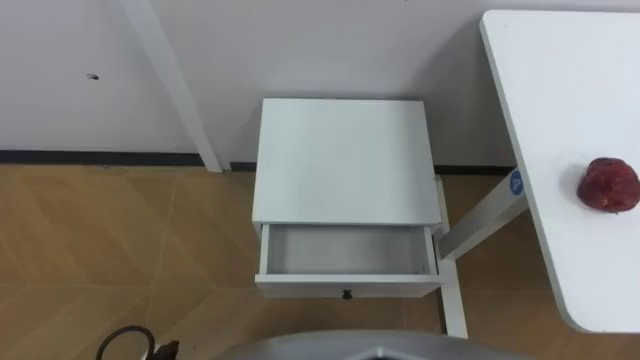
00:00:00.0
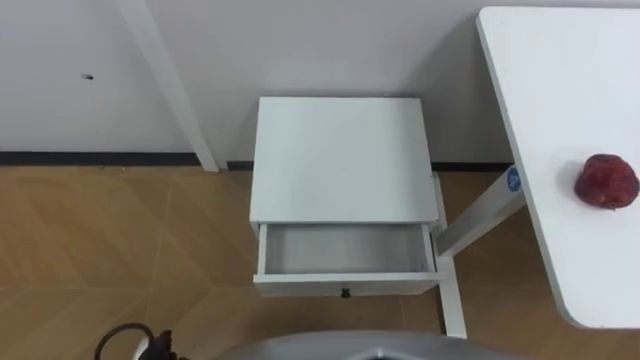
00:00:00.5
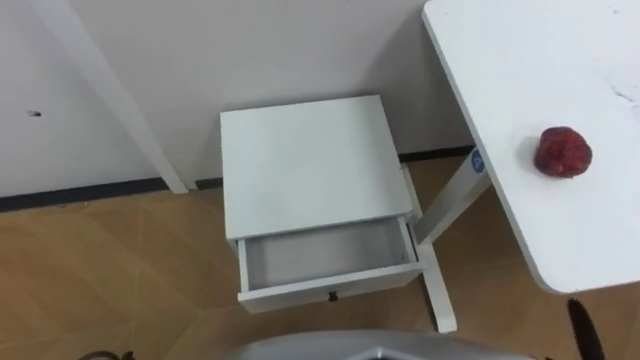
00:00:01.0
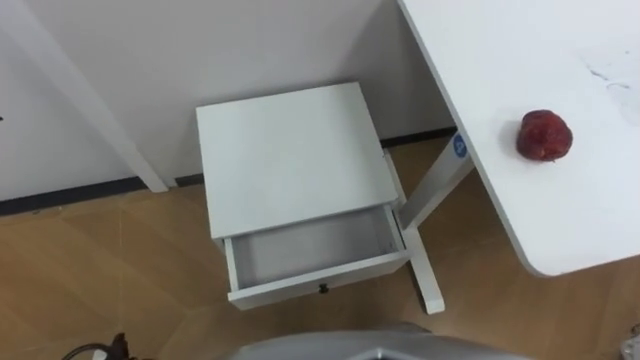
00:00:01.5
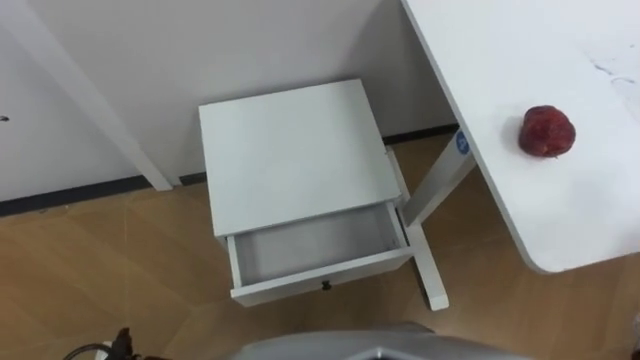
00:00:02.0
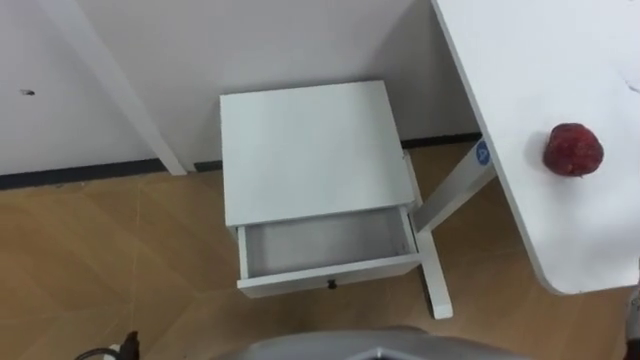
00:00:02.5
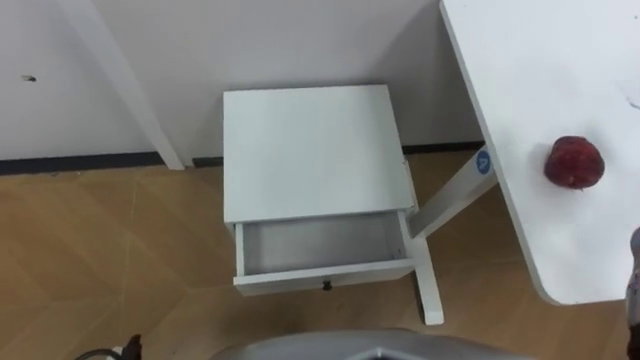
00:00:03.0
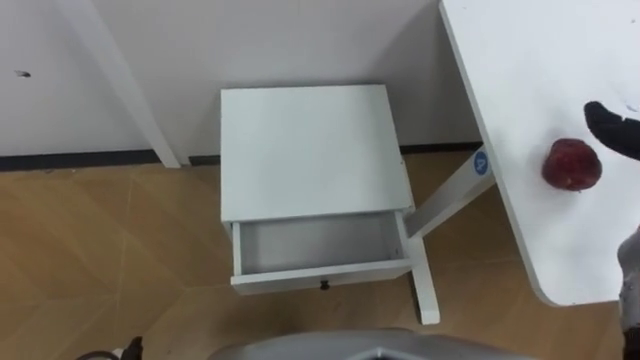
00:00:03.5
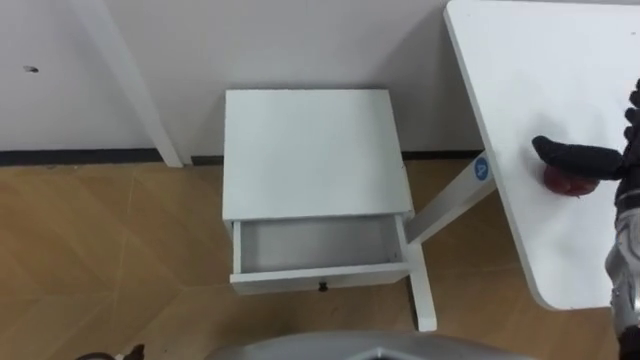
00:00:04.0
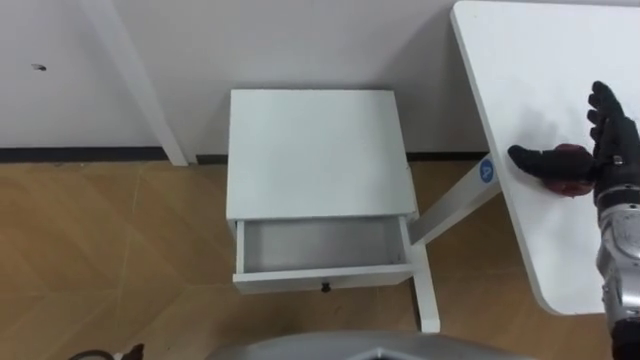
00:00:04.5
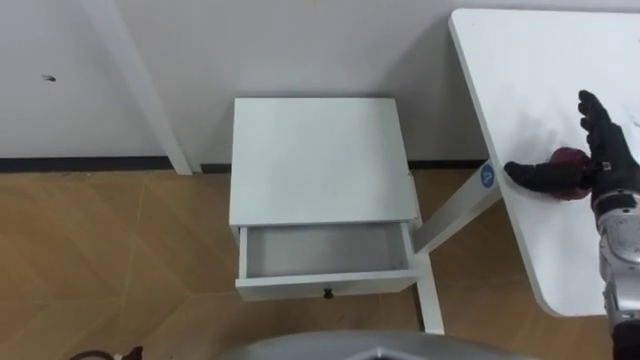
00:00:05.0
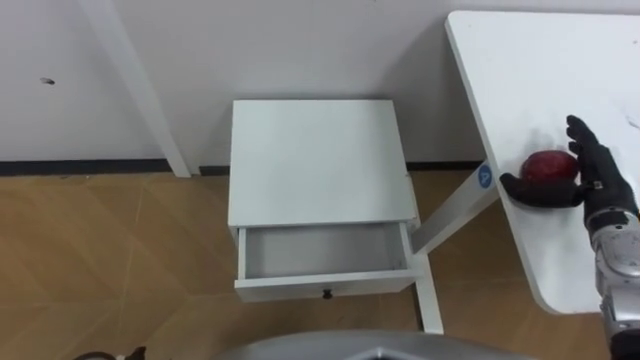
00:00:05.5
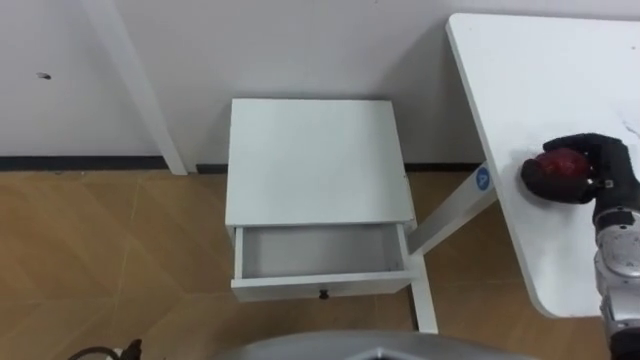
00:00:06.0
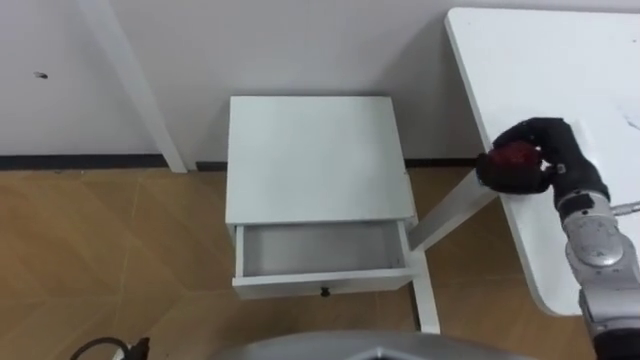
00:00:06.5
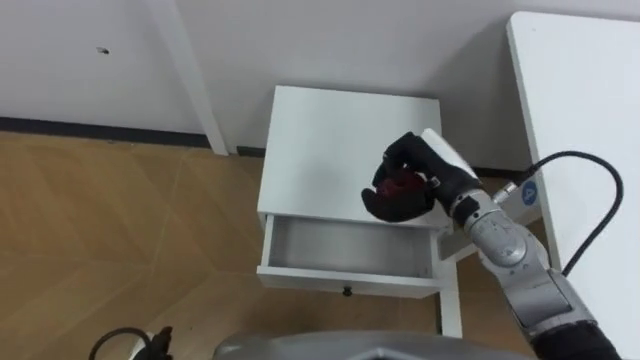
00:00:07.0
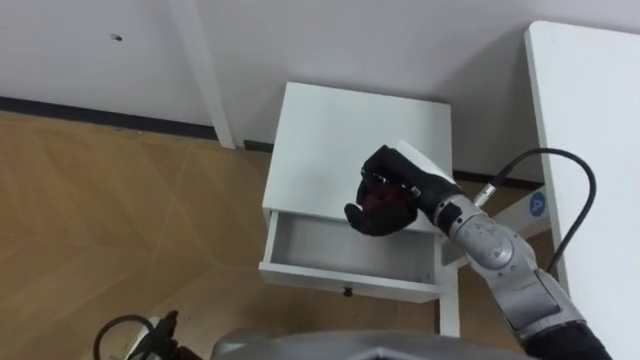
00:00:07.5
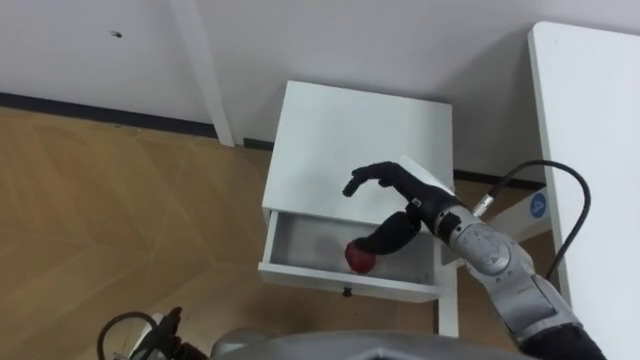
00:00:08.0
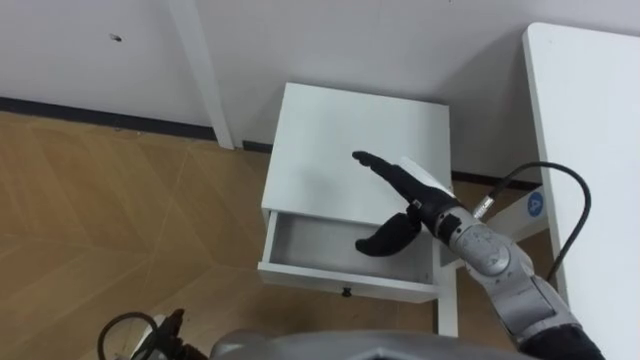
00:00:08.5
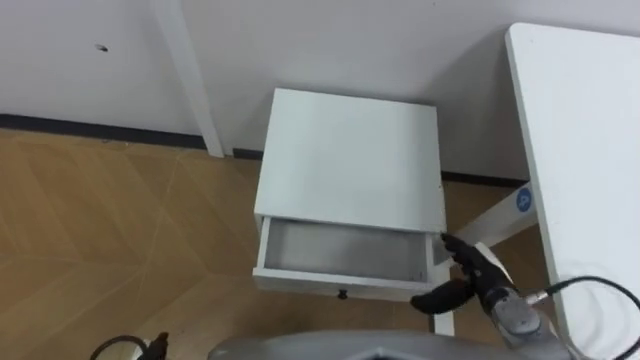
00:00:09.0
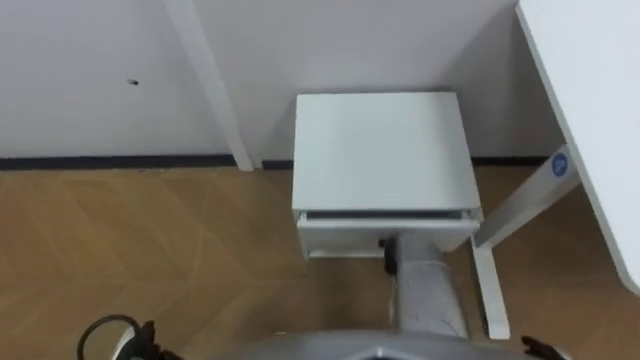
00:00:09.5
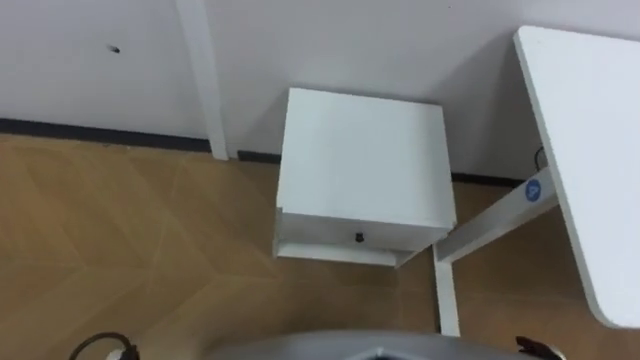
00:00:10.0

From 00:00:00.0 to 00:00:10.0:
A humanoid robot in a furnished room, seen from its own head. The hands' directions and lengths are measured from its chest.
Task of the whole recording: Pick up the apple from the table, put it in the drawer, and close the drawer with leg.
From 00:00:06.0 to 00:00:08.0: The right hand heads to the left, covering roughly 25 cm.

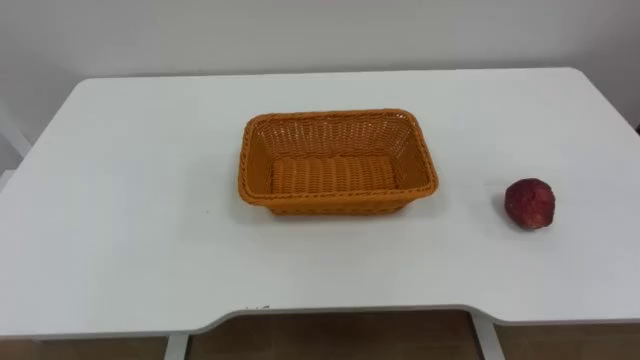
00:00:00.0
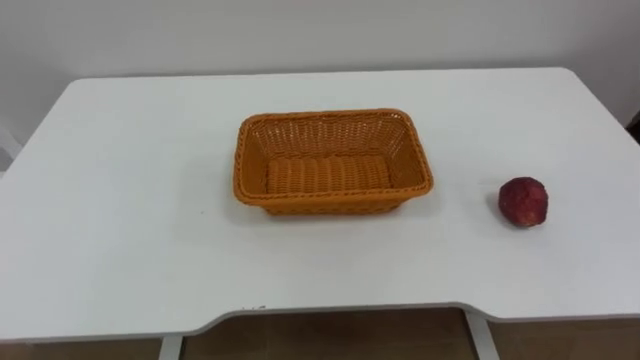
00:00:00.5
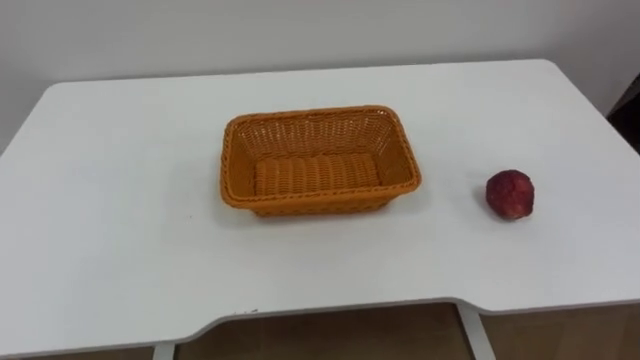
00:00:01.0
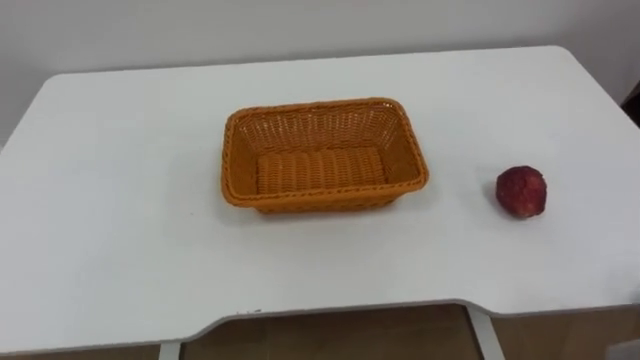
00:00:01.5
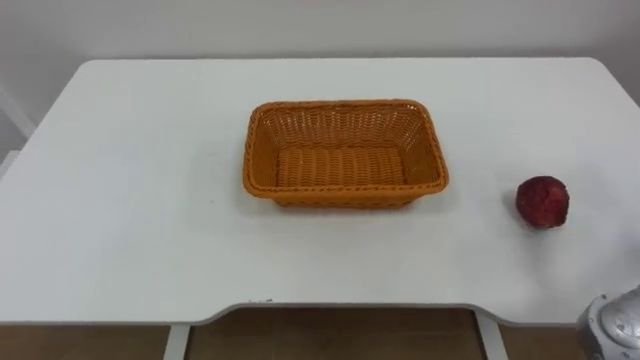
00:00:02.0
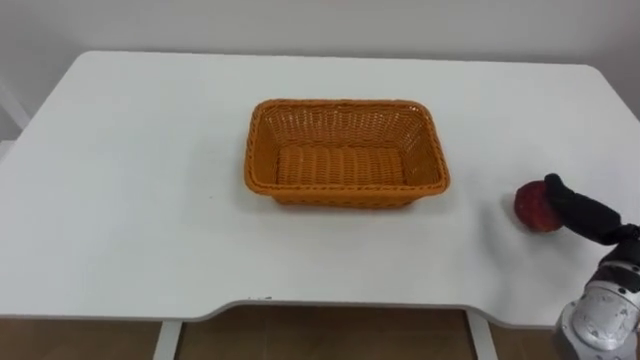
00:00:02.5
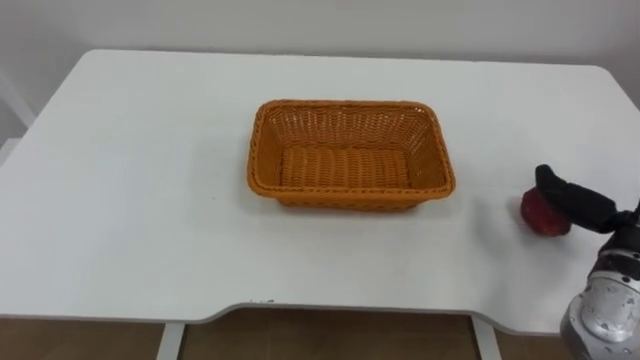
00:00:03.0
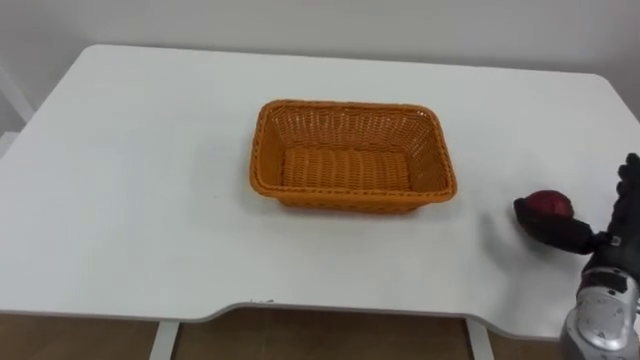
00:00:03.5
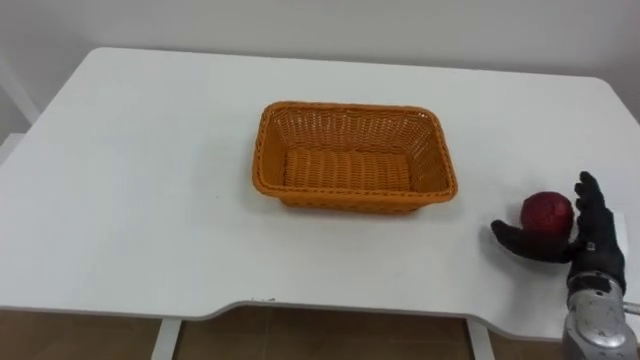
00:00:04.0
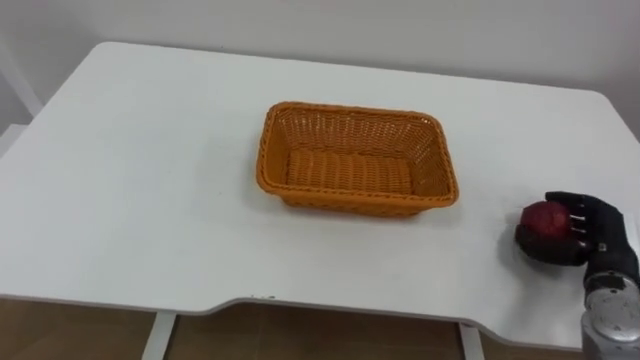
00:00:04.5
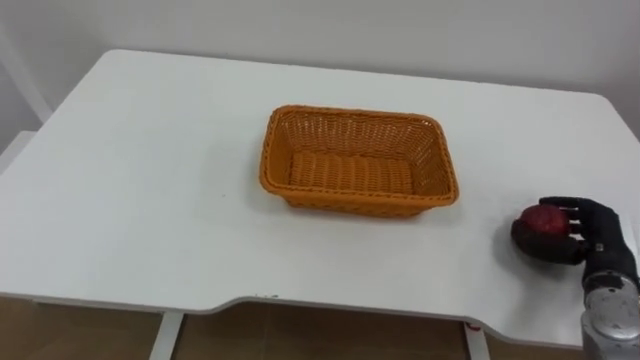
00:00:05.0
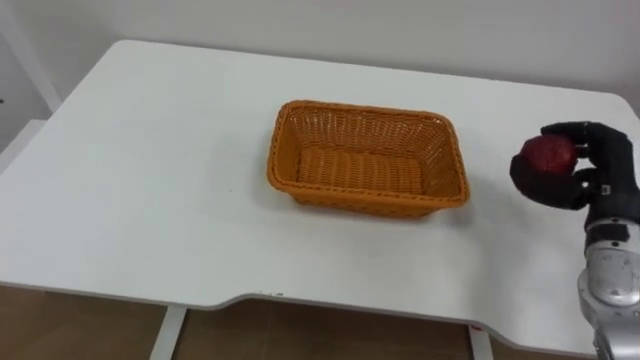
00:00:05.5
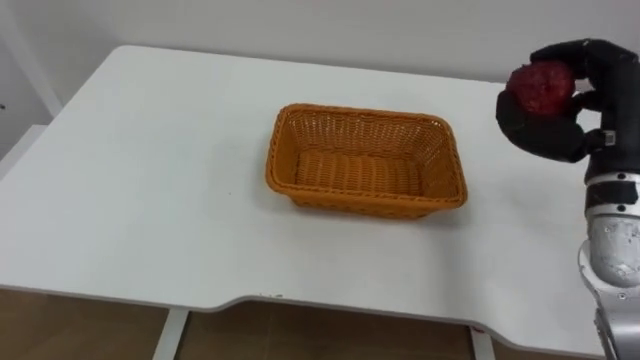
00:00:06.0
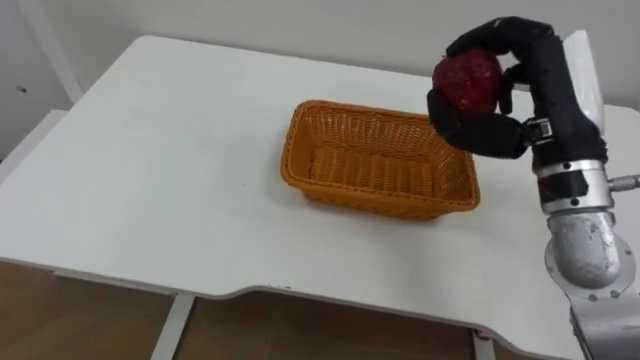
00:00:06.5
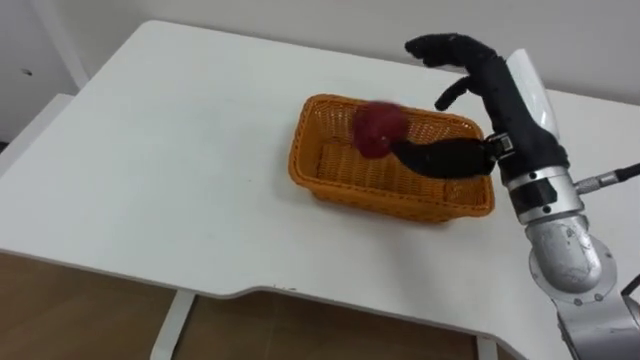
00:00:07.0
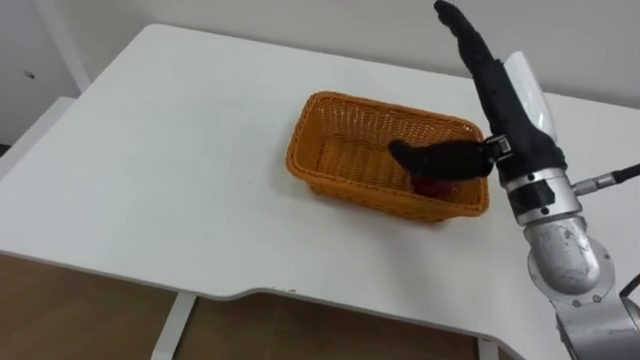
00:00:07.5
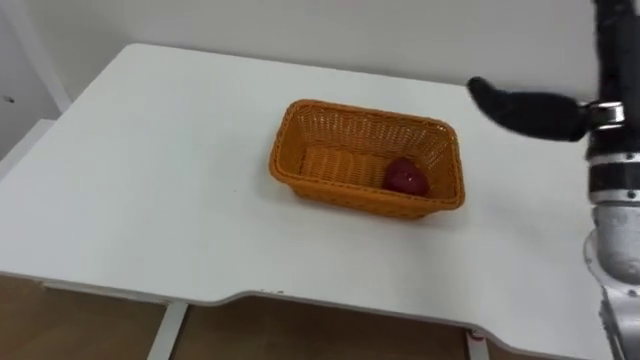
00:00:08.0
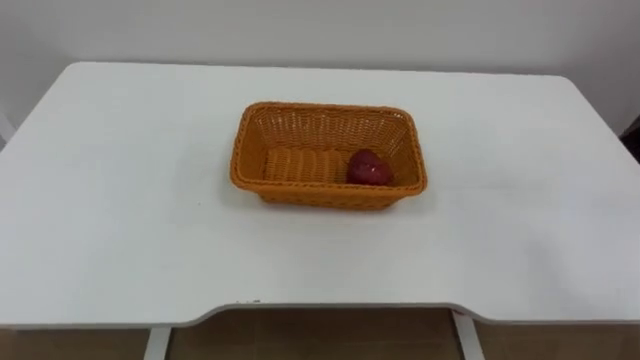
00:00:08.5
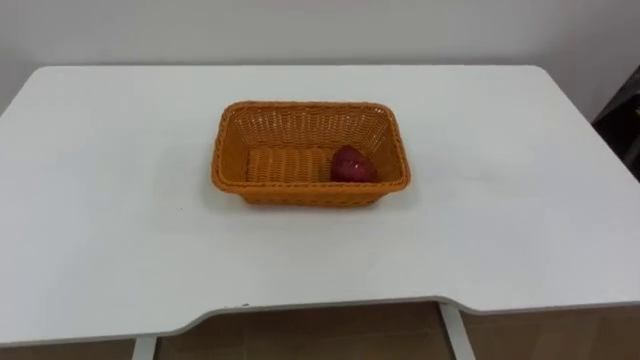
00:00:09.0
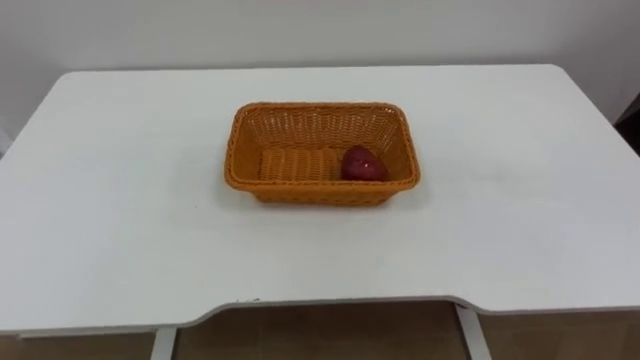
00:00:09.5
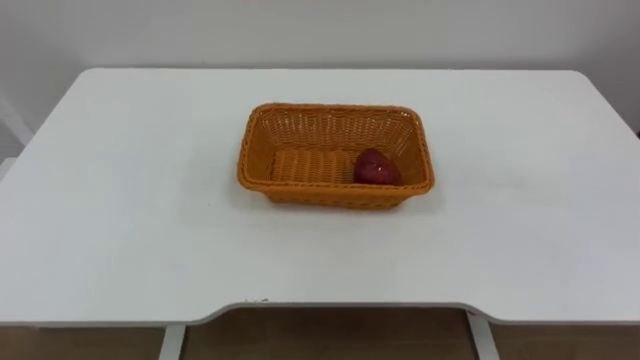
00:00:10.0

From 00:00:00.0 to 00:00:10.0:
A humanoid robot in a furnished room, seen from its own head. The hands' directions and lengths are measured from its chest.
Task of the whole recording: Pick the apple and place it in the box.
From 00:00:04.0 to 00:00:06.0: The right hand is displaced upward by some 15 cm, and closes up.
From 00:00:06.0 to 00:00:08.0: The right hand travels upward by some 5 cm, and opens.
